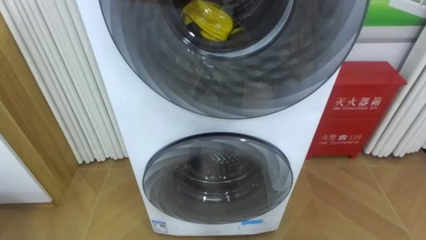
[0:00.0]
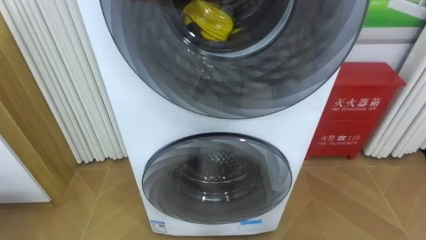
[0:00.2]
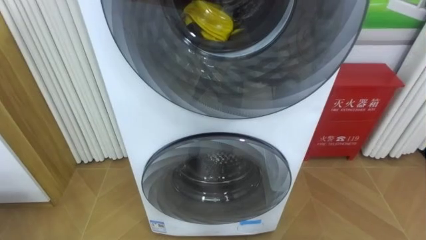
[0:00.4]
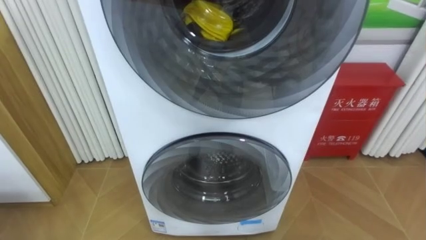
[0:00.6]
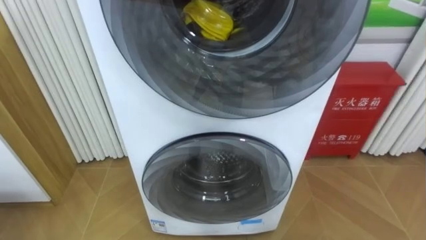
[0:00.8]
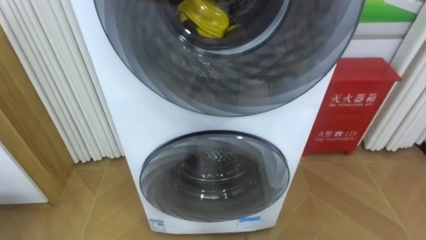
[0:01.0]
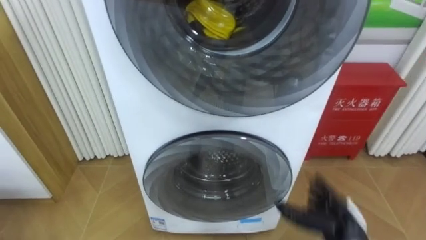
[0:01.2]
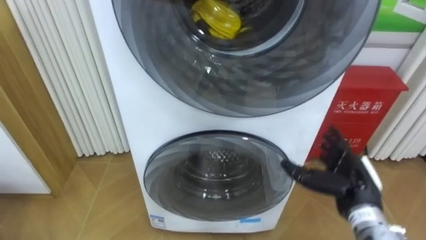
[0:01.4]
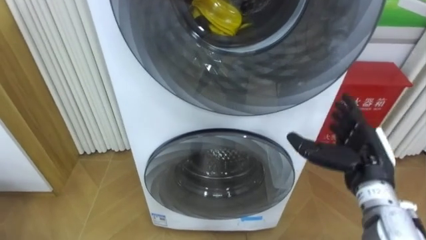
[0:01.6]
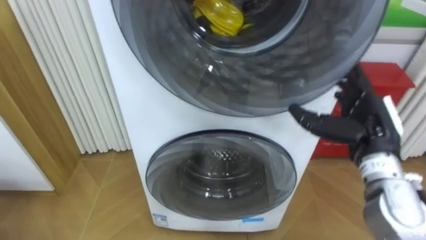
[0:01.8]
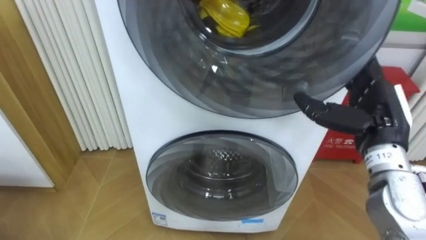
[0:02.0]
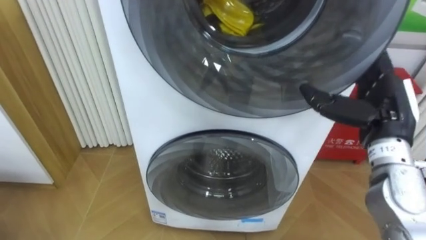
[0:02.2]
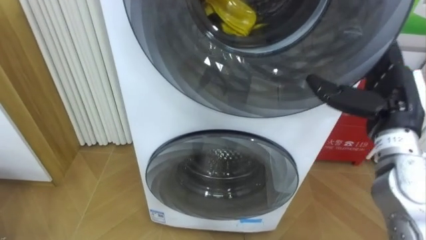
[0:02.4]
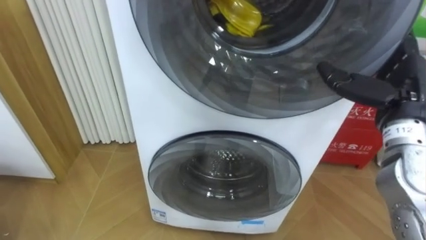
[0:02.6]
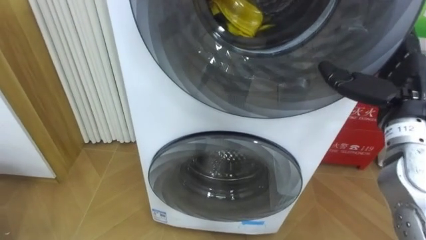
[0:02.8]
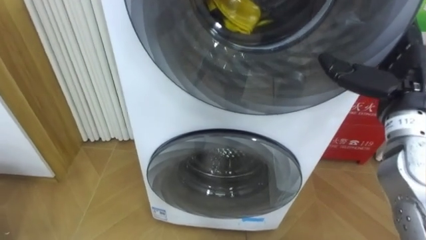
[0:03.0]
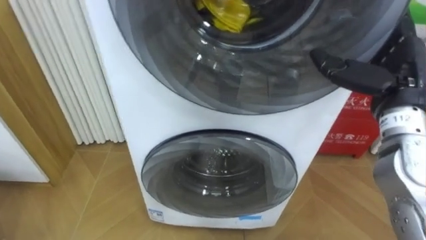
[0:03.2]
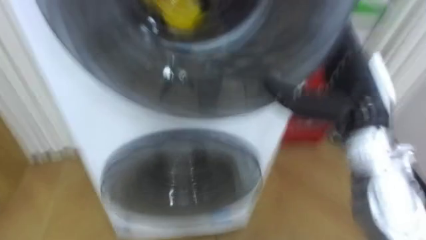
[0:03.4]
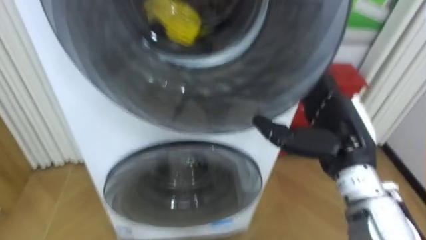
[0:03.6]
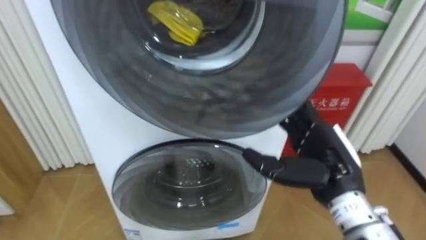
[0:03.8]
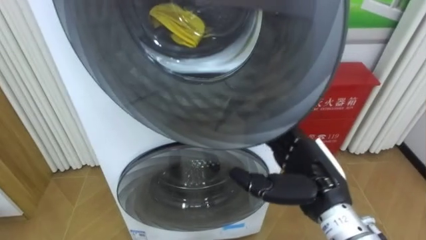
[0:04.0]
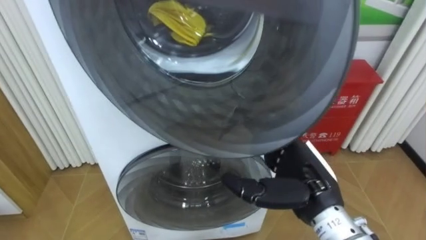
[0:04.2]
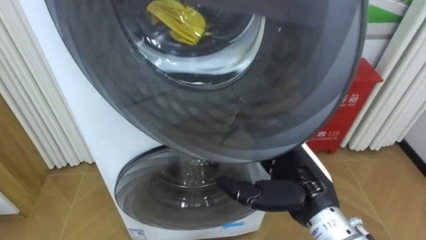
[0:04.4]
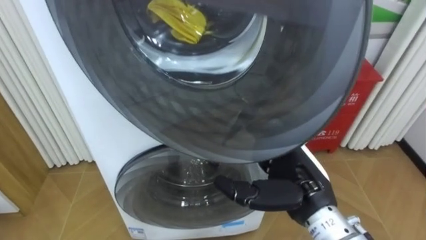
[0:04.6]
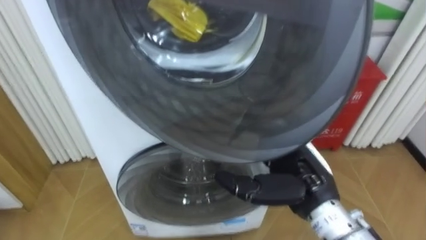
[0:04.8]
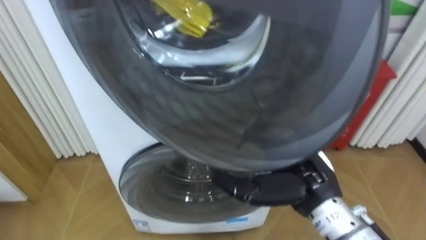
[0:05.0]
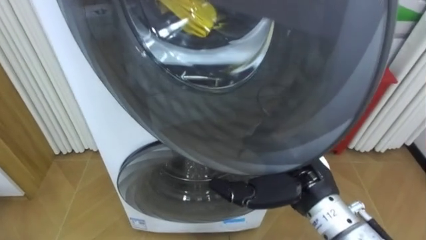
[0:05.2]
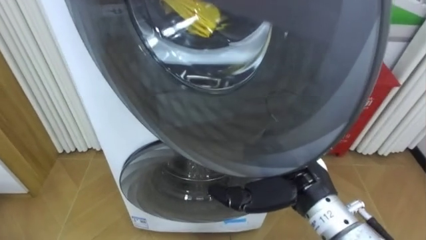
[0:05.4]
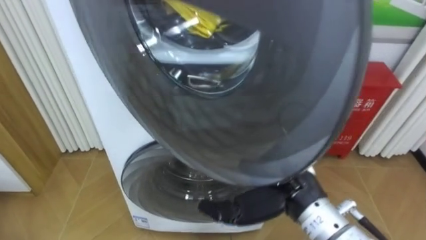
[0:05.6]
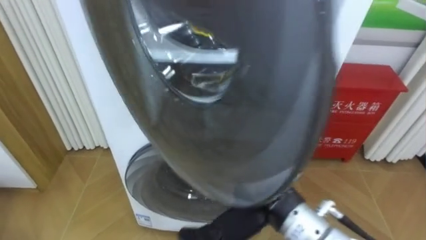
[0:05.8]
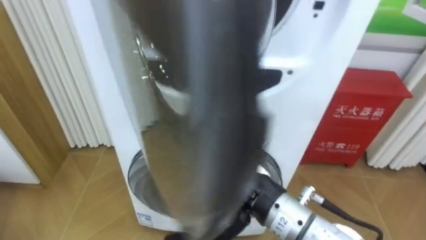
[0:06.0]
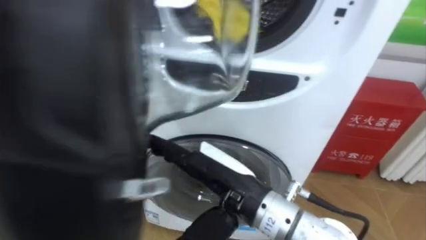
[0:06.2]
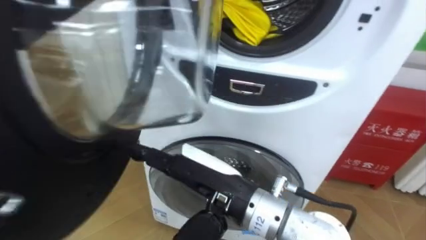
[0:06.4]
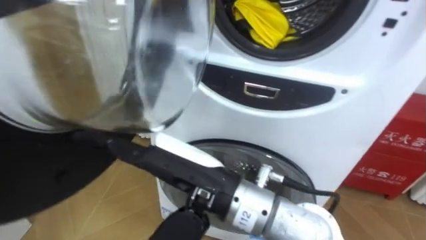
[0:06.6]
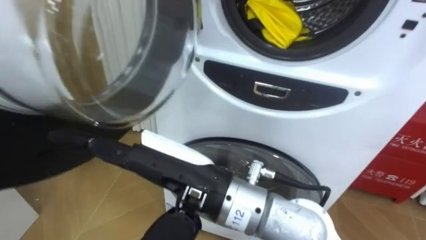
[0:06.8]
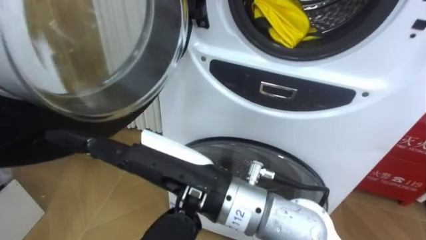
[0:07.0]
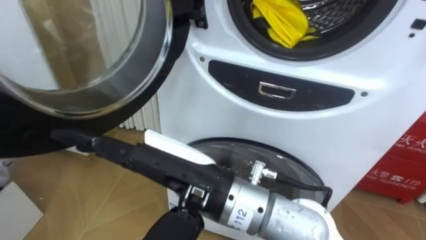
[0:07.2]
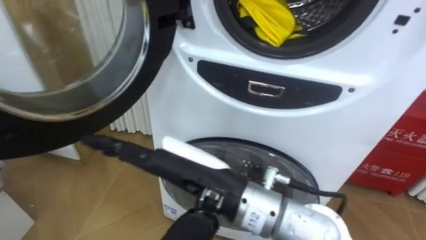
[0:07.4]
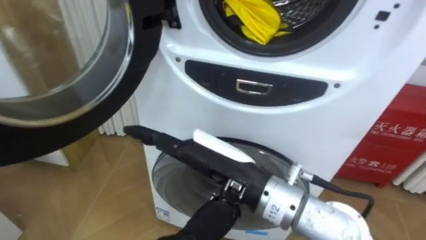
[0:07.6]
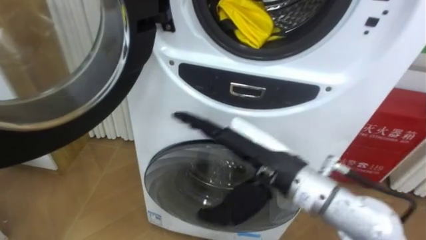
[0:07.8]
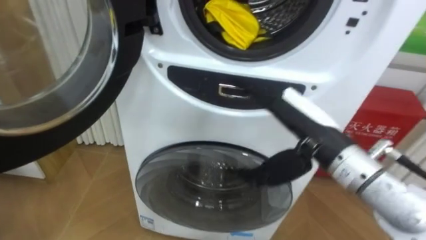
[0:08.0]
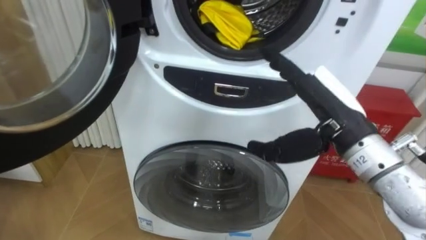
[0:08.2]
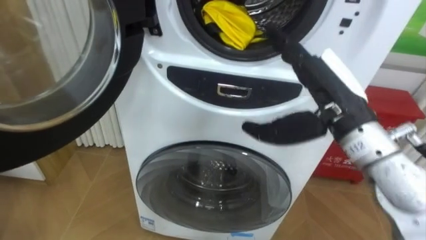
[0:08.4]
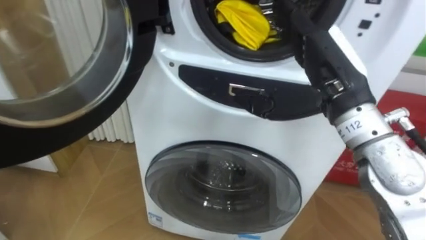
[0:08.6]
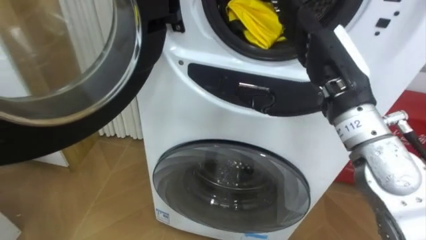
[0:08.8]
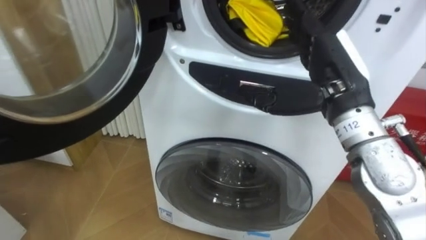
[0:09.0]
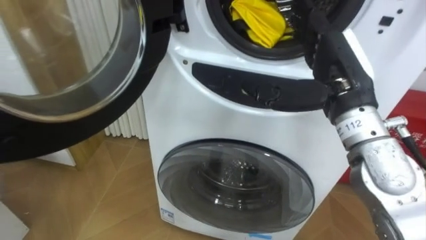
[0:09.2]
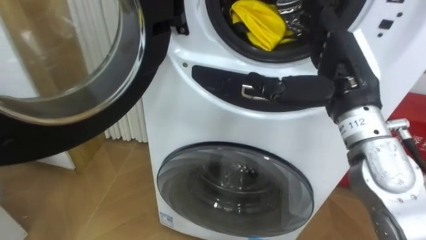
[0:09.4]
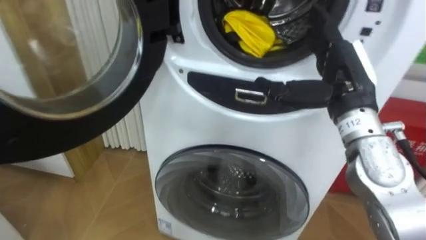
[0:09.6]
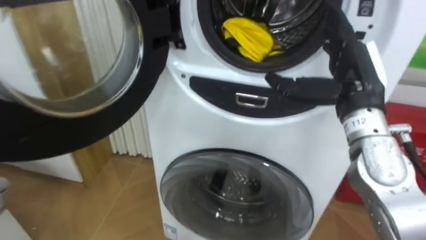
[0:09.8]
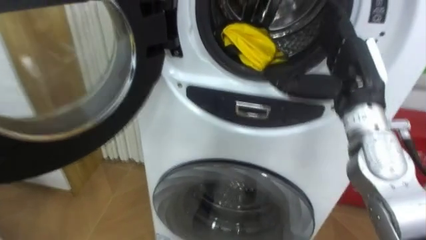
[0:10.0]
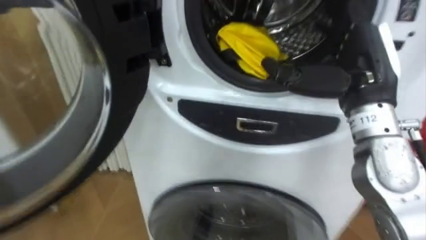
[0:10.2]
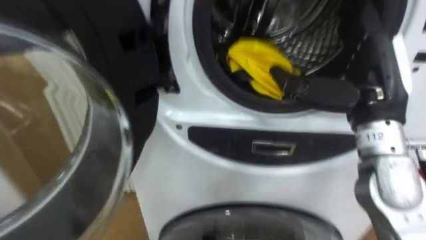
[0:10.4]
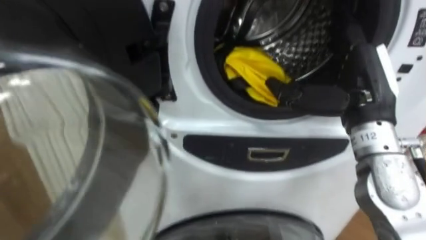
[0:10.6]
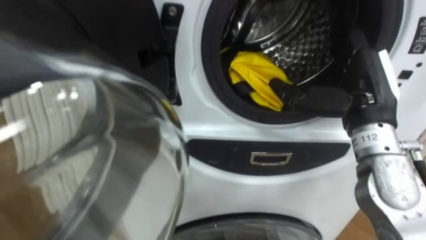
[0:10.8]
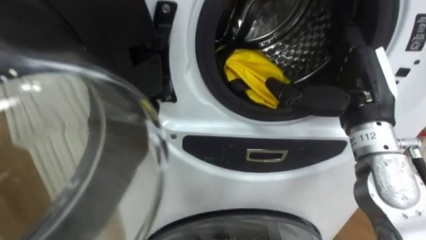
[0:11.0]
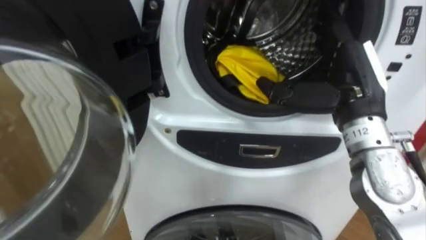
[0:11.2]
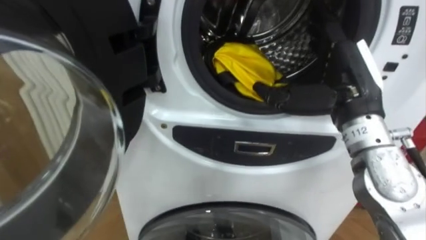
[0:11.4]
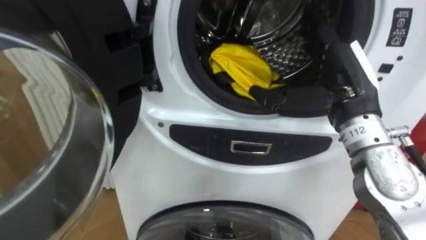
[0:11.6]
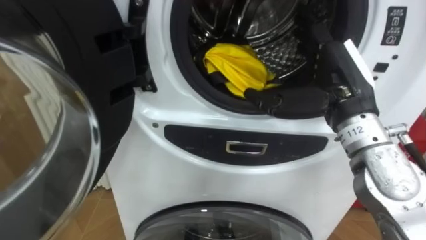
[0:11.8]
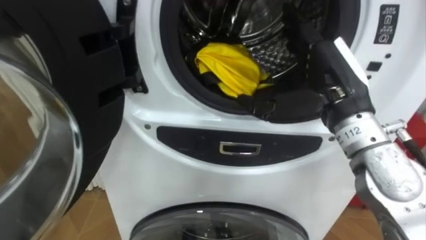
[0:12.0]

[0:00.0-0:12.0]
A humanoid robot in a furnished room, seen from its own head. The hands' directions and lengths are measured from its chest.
Task of the whole recording: Open the washing machine door, take out the yellow clothes, place them in the box on the right, and close the washing machine door.
0:01.6 to 0:03.0: The right hand shifts about 10 cm upward.
0:03.0 to 0:04.4: The right hand heads to the left, downward and backward, covering approximately 20 cm.
0:04.4 to 0:06.0: The right hand travels to the left by about 10 cm.
0:07.6 to 0:09.0: The right hand travels to the right, forward and upward by approximately 20 cm.

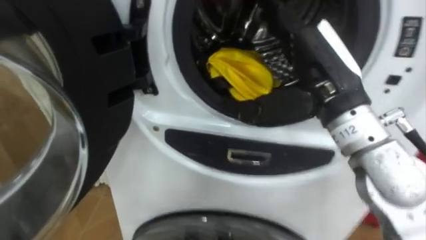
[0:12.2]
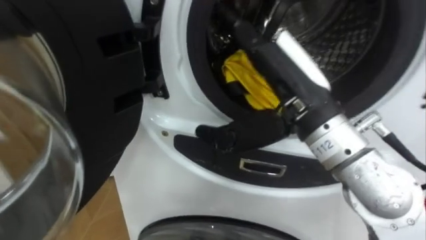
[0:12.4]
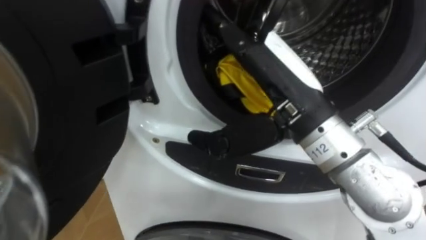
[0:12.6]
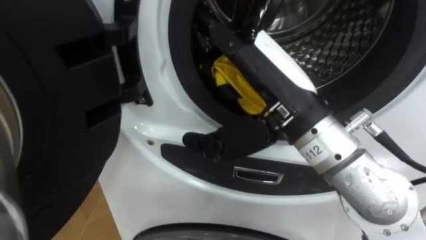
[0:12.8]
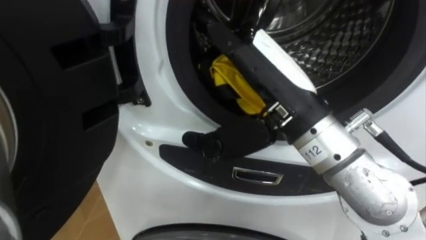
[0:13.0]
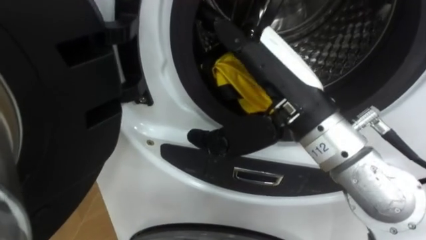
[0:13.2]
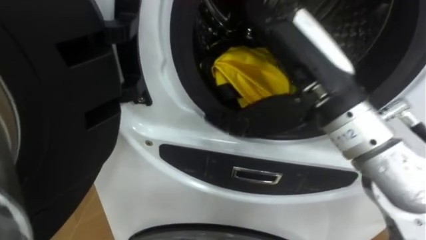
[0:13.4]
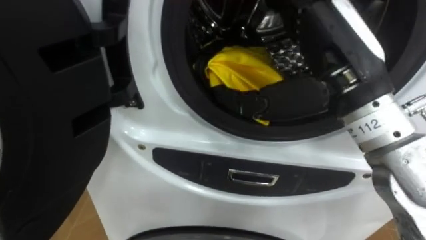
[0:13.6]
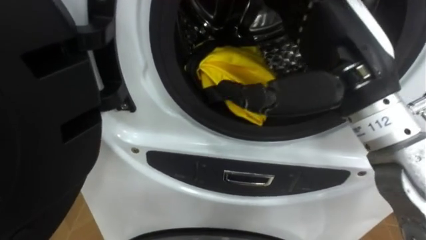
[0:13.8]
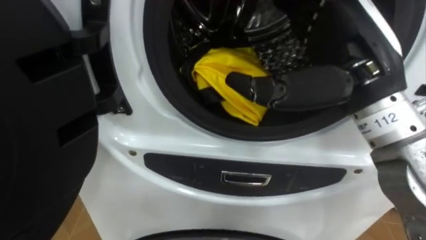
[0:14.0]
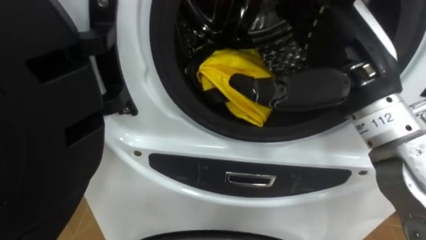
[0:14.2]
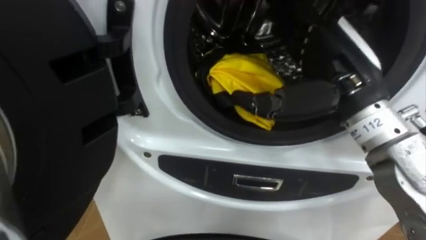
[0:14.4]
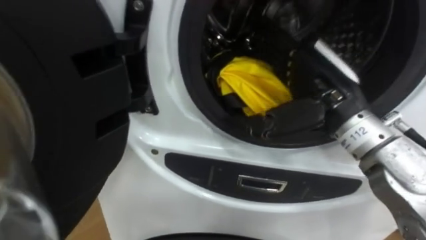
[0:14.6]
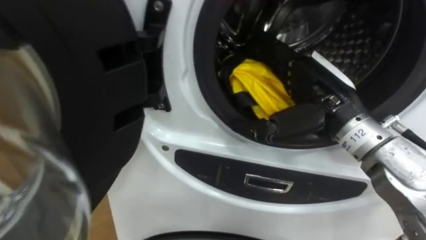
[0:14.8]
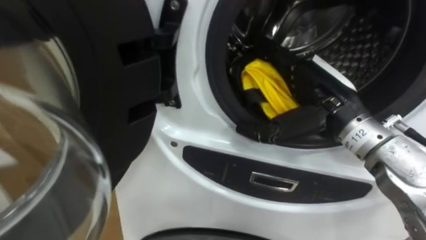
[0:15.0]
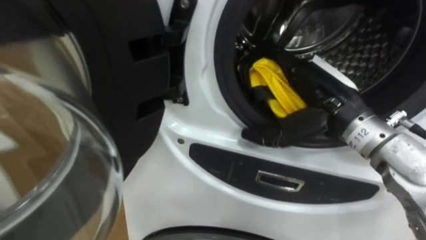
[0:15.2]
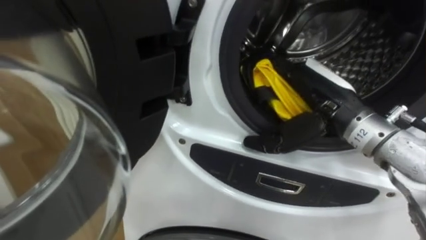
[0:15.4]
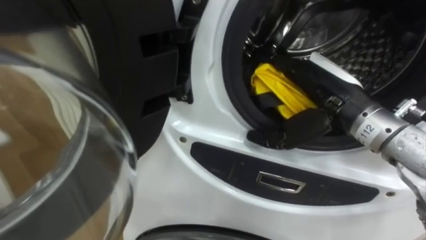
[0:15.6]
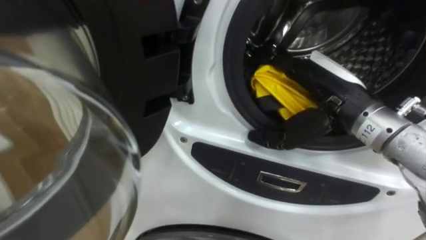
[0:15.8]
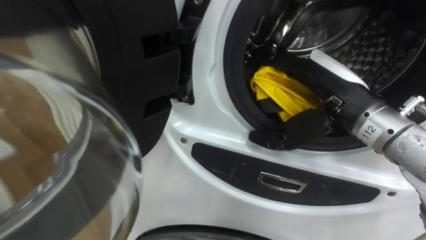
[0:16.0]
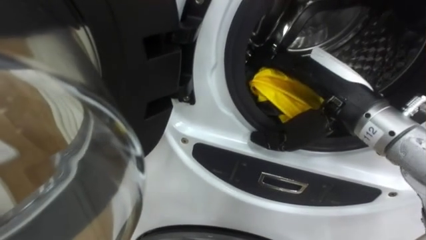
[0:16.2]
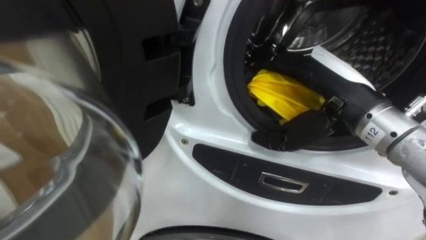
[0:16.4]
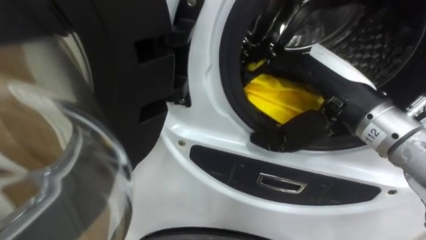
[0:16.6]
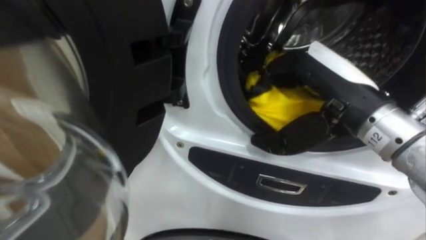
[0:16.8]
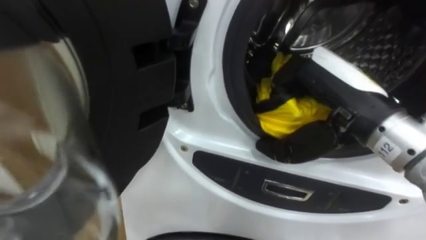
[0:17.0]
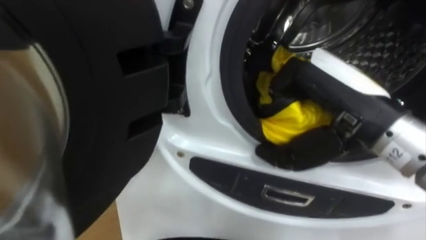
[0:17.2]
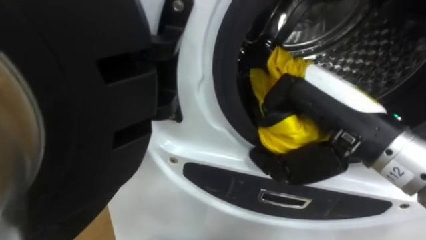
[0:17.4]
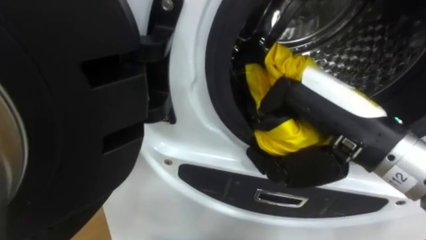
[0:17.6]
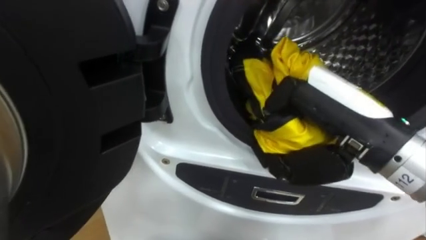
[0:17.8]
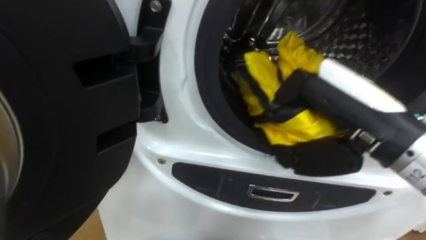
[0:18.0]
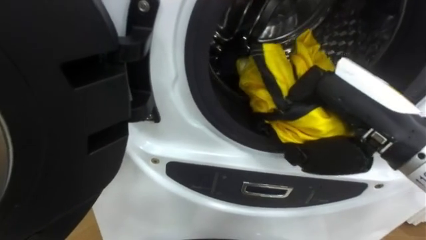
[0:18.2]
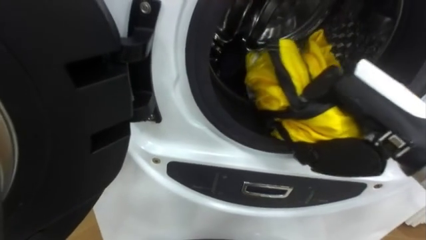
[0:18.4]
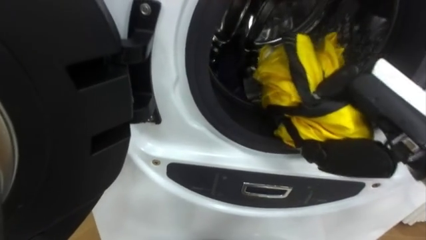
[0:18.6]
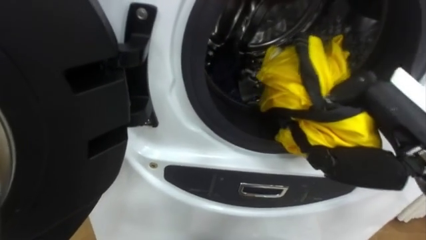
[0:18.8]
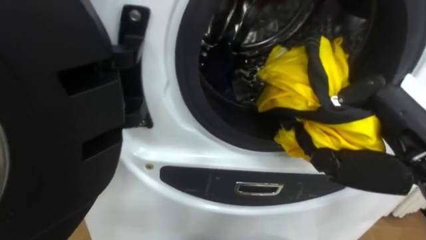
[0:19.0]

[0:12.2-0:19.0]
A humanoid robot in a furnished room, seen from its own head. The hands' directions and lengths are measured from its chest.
Task of the whole recording: Open the washing machine door, take out the yellow clothes, place them in the box on the right, and close the washing machine door.
0:13.6 to 0:15.0: The right hand is displaced downward and forward by about 10 cm.
0:16.2 to 0:17.6: The right hand shifts about 5 cm backward, and closes.
0:17.6 to 0:19.0: The right hand heads to the right, covering approximately 5 cm.
